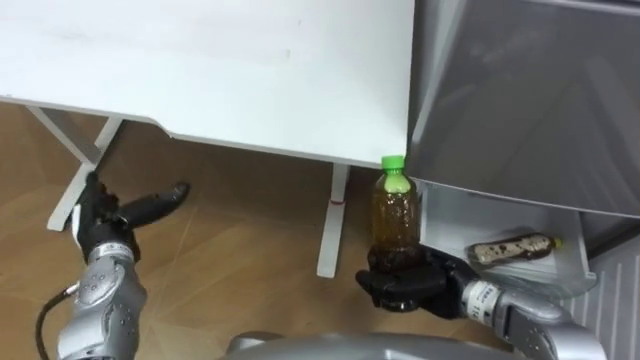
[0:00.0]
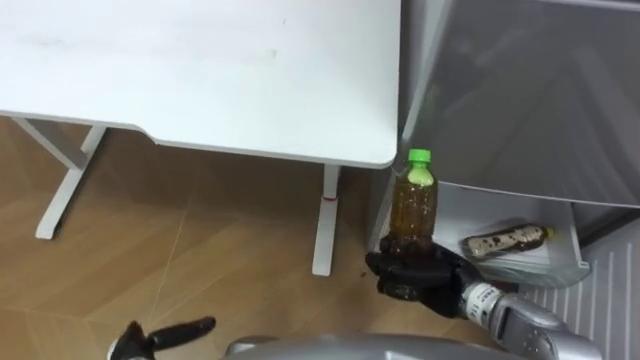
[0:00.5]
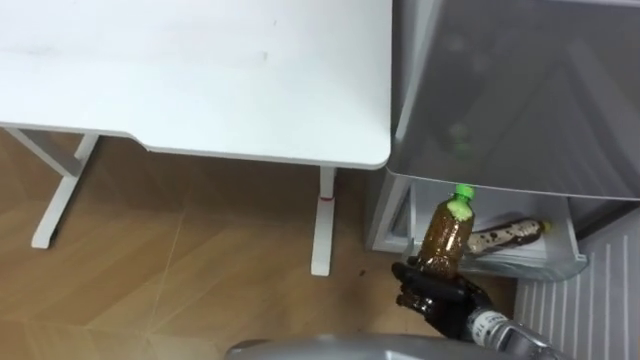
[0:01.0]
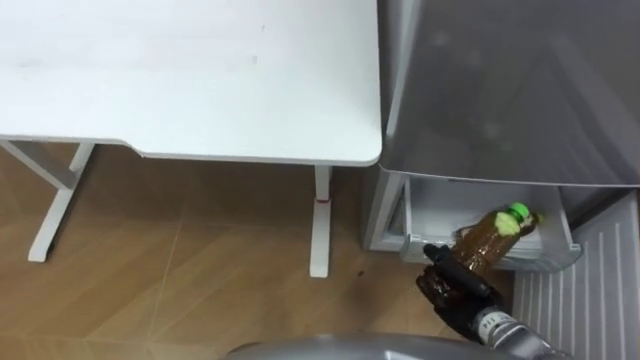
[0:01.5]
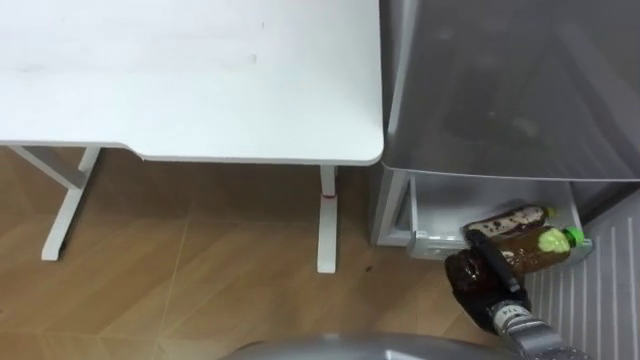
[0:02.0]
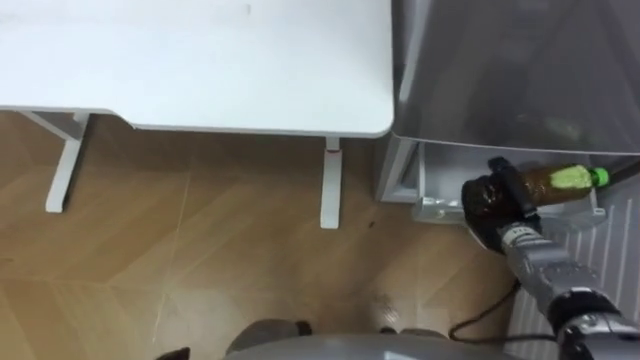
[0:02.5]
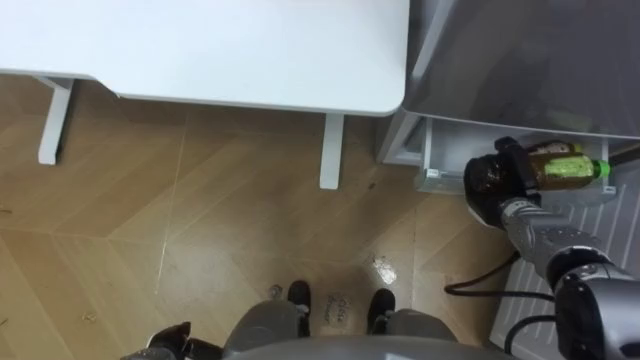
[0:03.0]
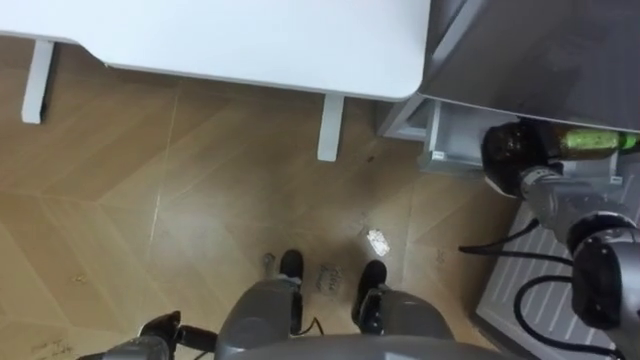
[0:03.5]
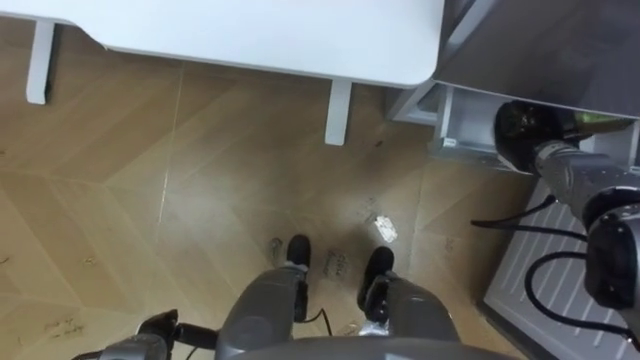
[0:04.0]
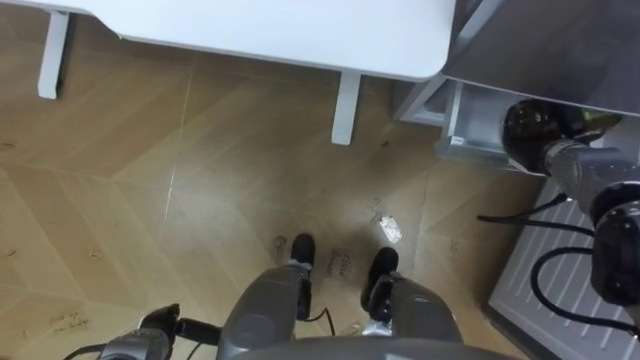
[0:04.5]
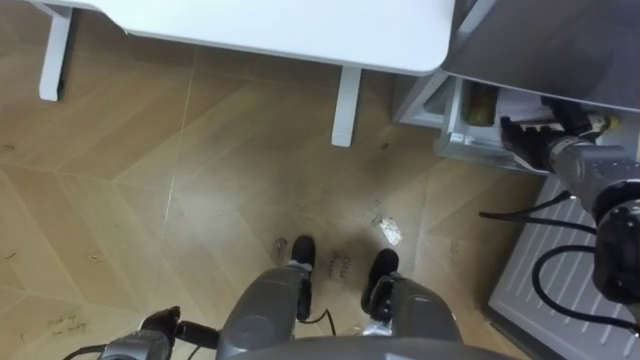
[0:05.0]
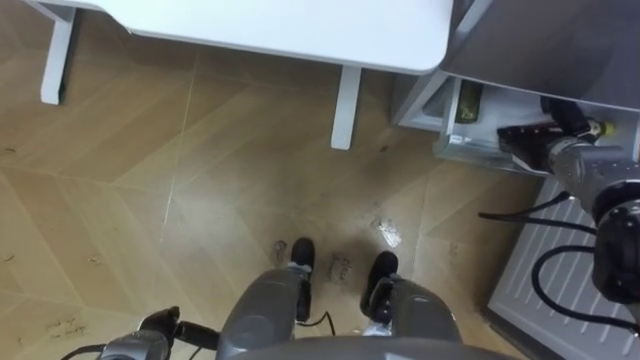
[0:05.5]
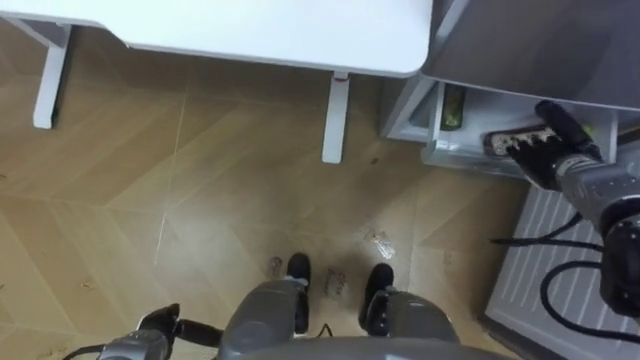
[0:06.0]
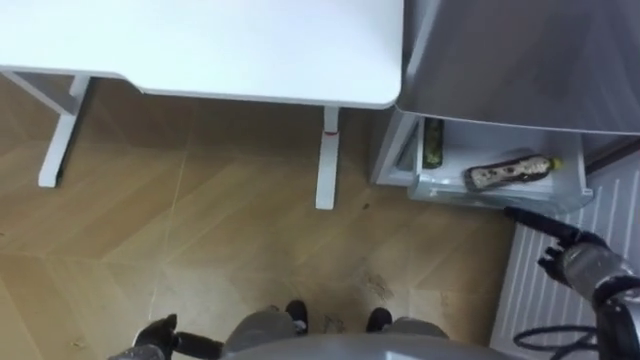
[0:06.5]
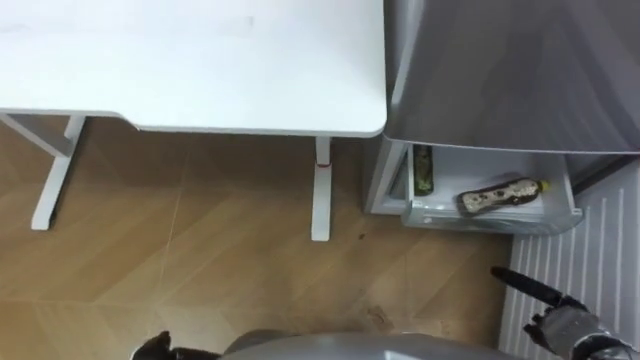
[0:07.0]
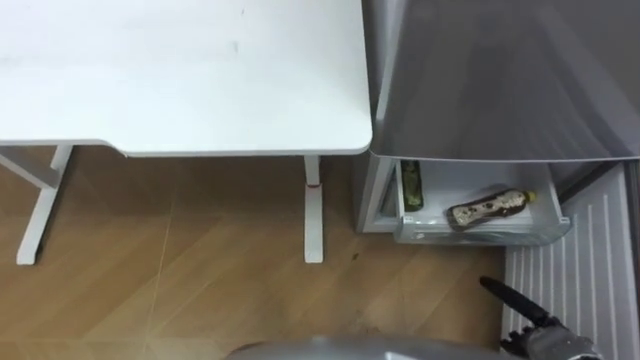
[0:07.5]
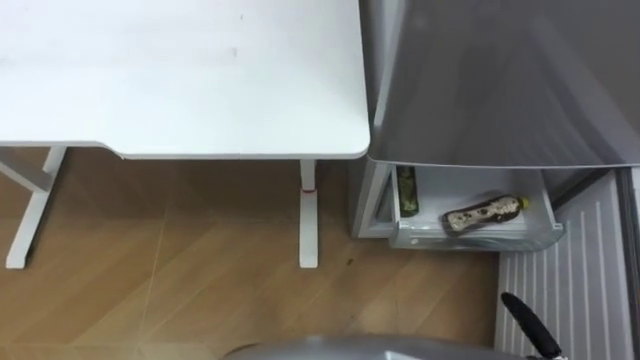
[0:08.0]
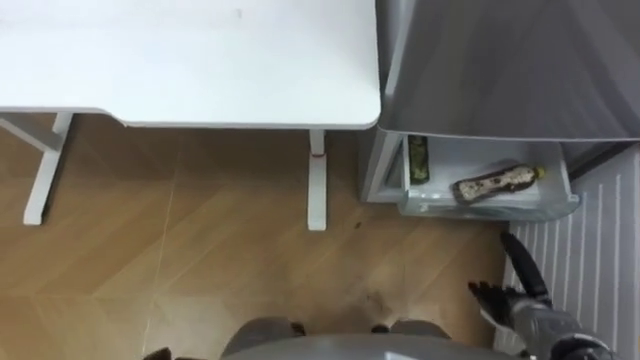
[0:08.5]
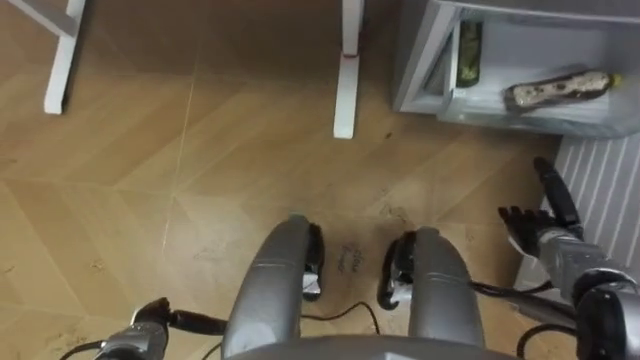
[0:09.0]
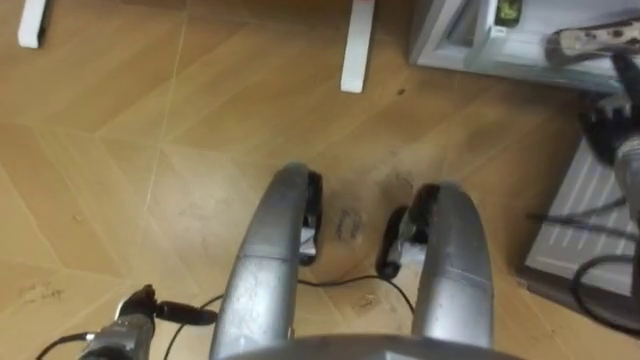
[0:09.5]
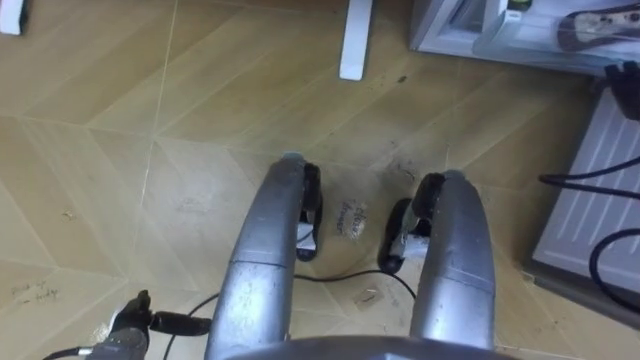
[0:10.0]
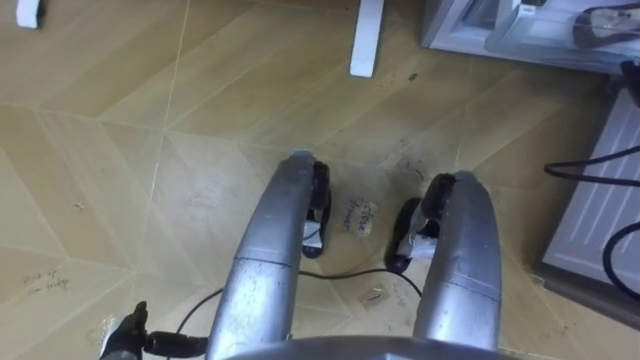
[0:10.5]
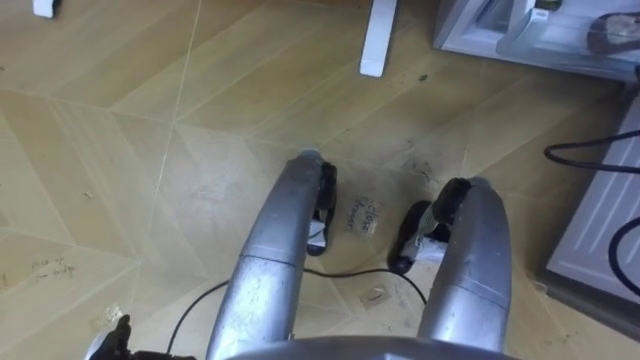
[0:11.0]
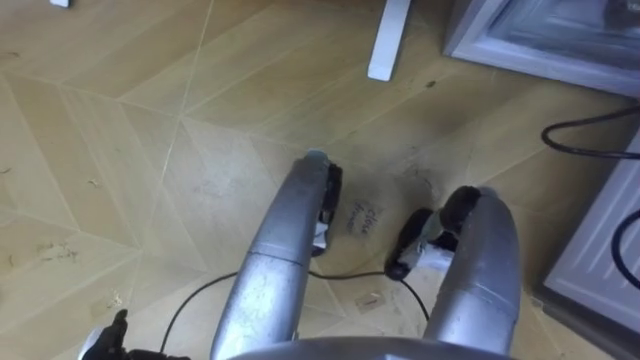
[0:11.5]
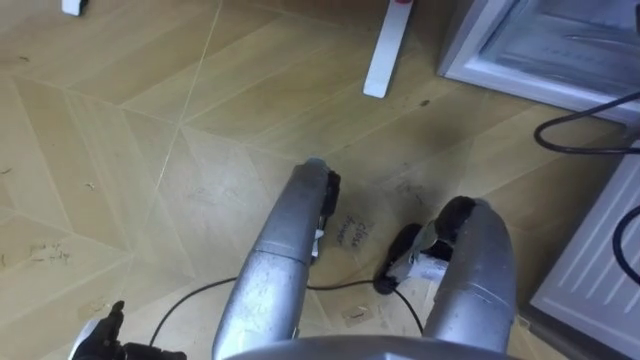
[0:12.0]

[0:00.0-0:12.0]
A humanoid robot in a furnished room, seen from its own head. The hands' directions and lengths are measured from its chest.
Task of the whole recording: Place the drink on the table on the bottom shelf of the refrigerator, then close the drawer and the refrigerator door.
0:00.0 to 0:02.0: The right hand moves to the right and downward, approximately 10 cm.
0:02.0 to 0:04.0: The right hand goes roughly 25 cm forward and upward.
0:04.0 to 0:06.0: The right hand opens up.

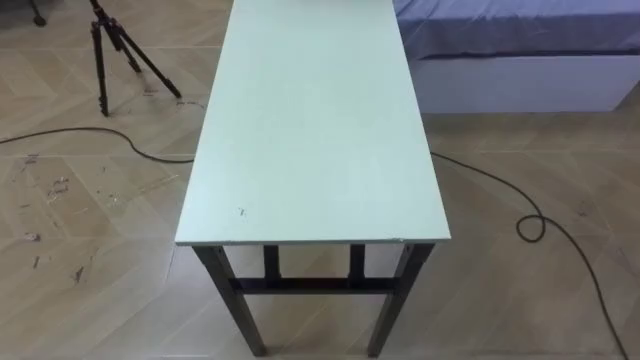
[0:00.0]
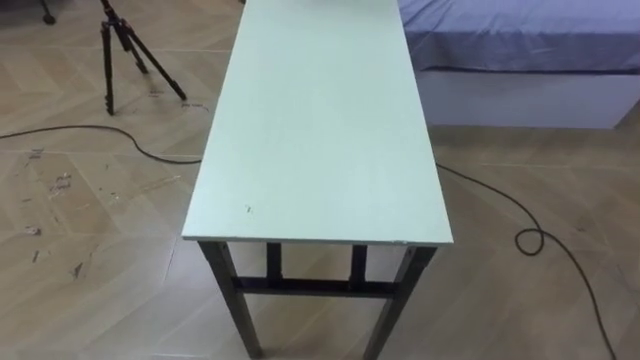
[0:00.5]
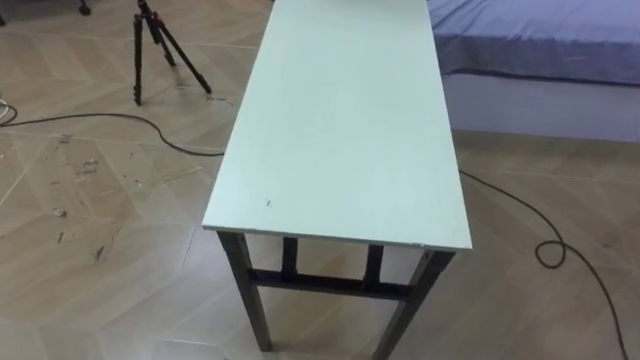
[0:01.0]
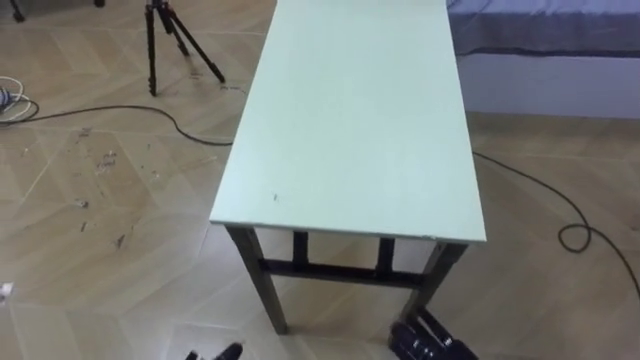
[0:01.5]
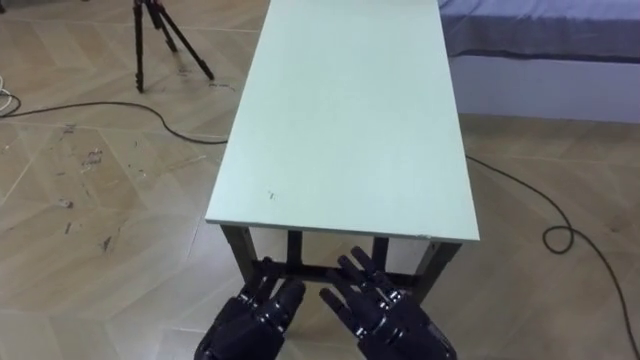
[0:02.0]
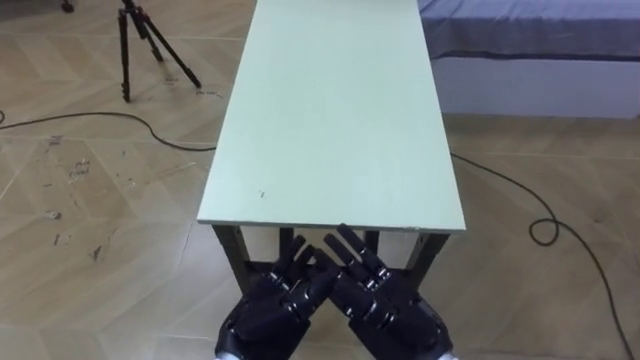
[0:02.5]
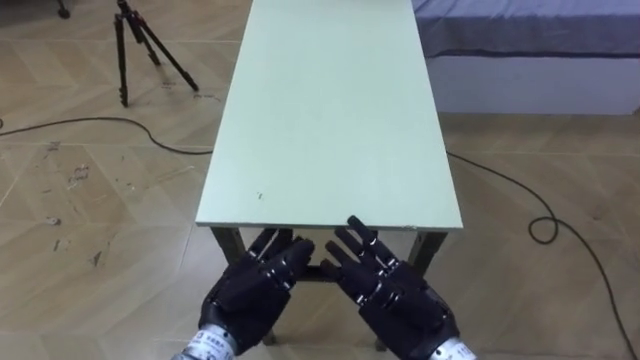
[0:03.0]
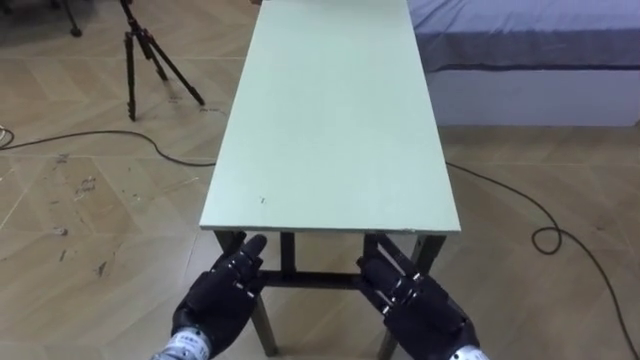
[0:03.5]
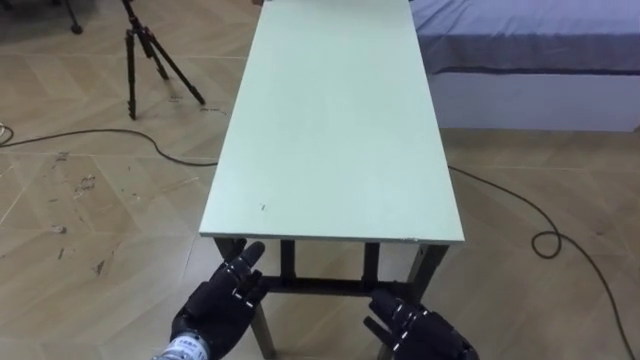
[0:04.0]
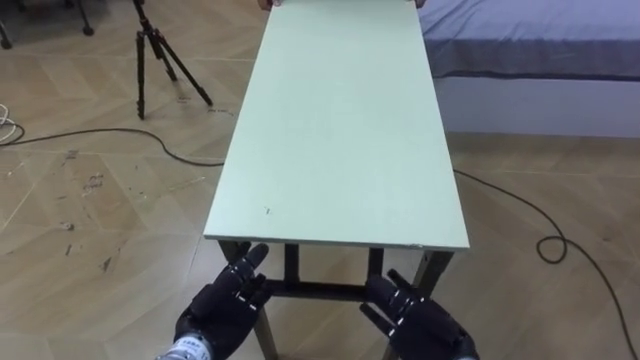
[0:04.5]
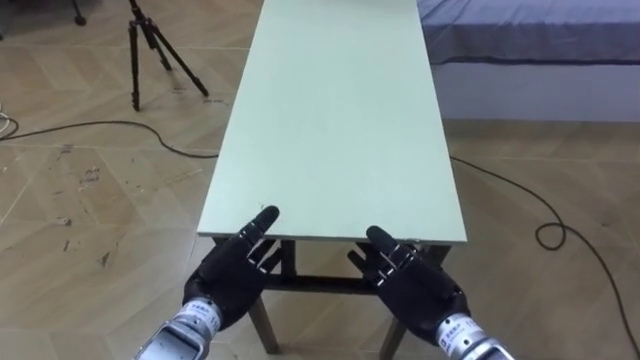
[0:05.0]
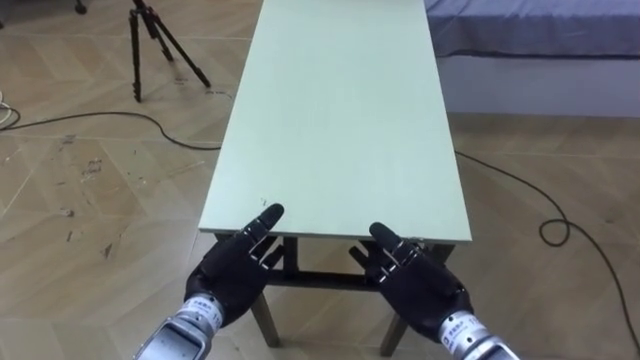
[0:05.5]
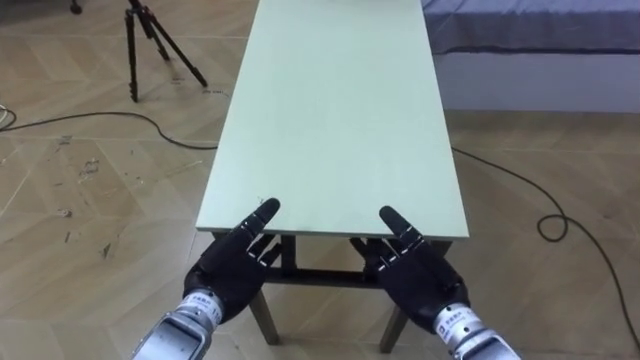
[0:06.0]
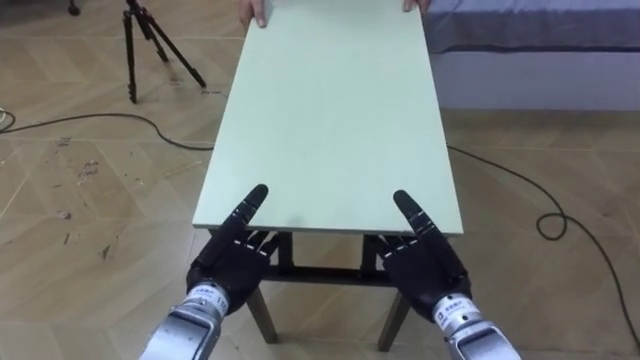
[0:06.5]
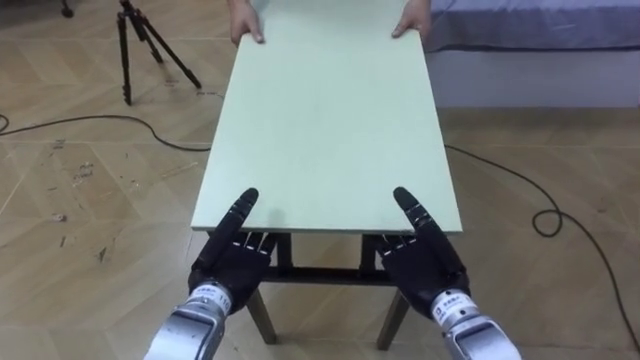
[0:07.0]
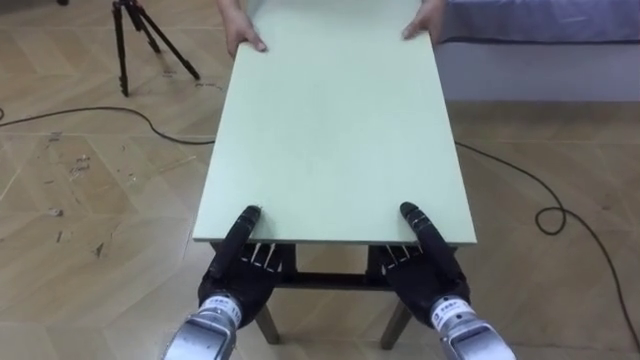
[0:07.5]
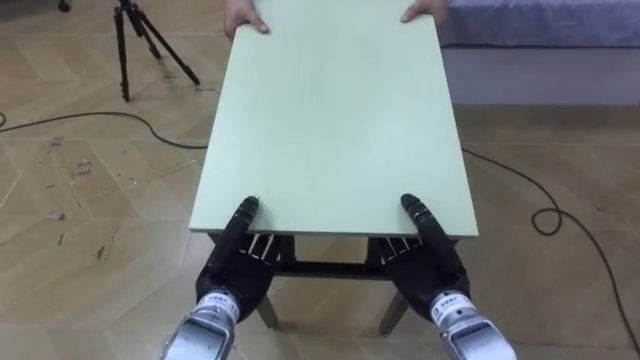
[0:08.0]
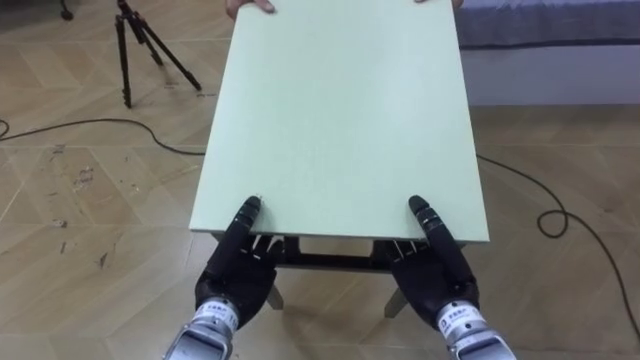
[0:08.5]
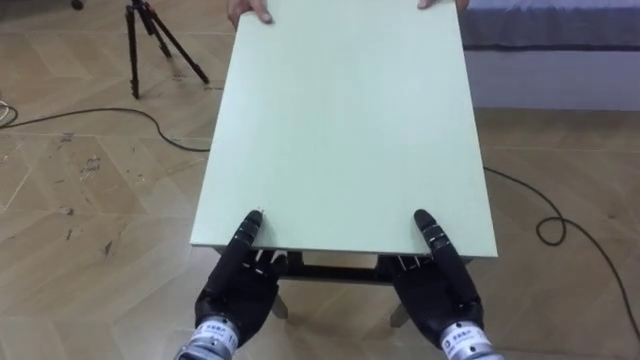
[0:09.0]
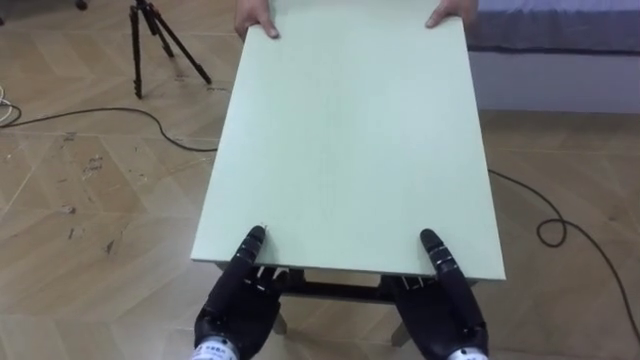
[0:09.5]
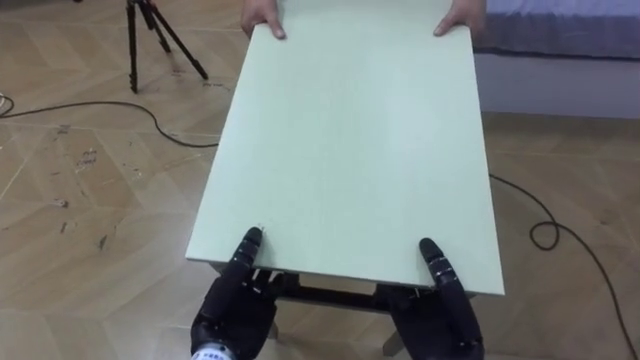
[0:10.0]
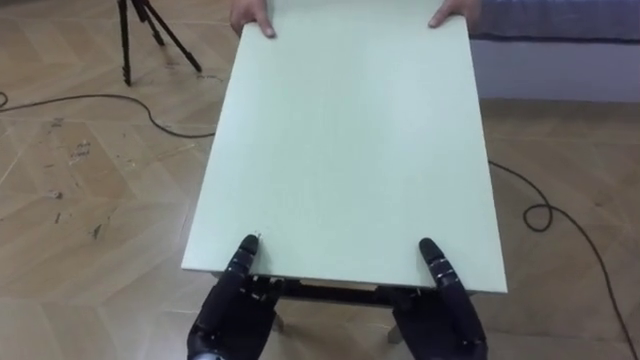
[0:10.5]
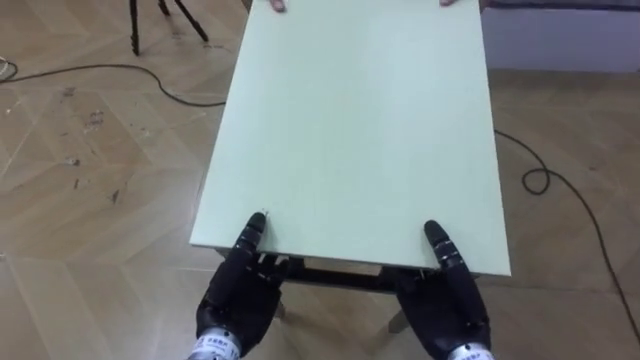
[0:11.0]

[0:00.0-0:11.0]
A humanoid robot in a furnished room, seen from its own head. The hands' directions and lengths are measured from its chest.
Task of the whole recording: Move the table to the back left with someone.
0:02.0 to 0:03.5: The left hand shifts by some 5 cm.
0:03.5 to 0:05.5: The left hand changes place by about 5 cm.
0:05.5 to 0:07.5: The right hand closes up. Meanwhile the left hand closes its fingers.
0:07.5 to 0:09.0: The hands stay close to where they were, moving slightly.
